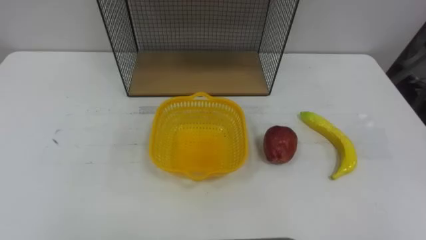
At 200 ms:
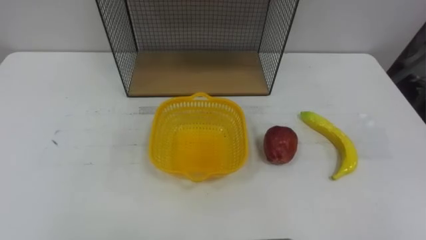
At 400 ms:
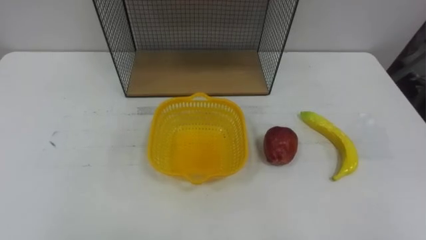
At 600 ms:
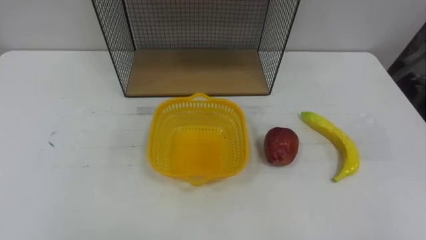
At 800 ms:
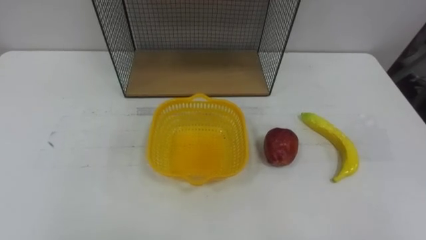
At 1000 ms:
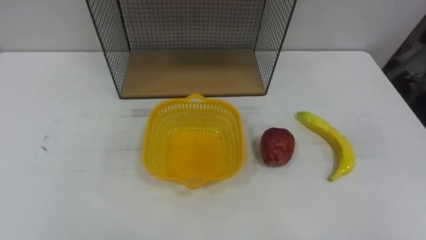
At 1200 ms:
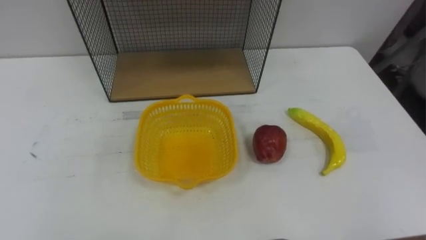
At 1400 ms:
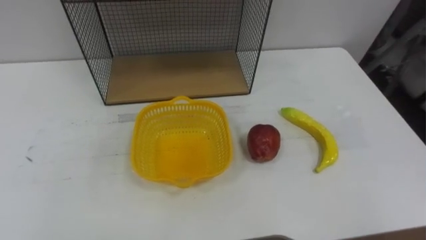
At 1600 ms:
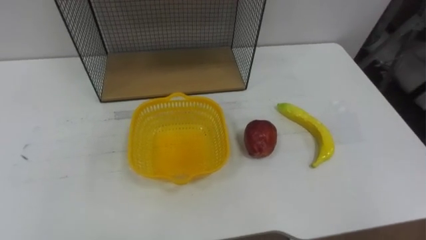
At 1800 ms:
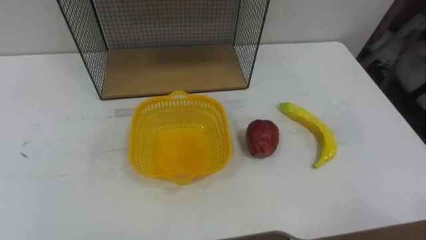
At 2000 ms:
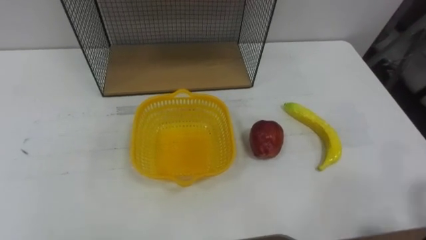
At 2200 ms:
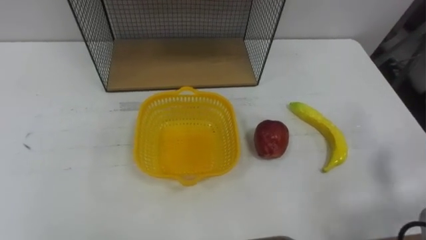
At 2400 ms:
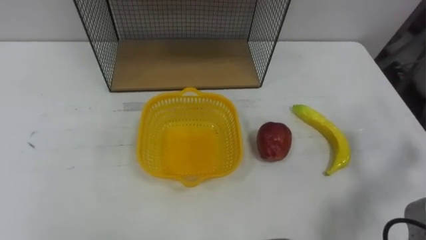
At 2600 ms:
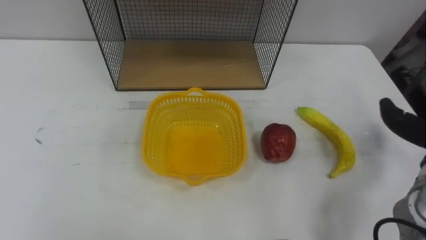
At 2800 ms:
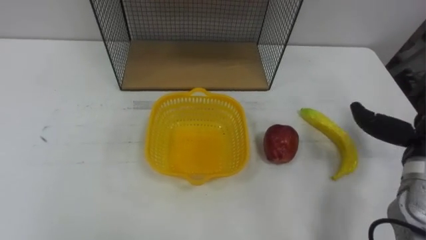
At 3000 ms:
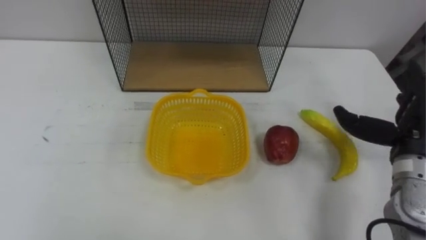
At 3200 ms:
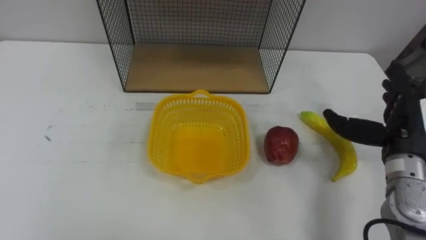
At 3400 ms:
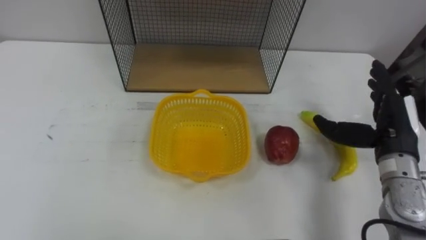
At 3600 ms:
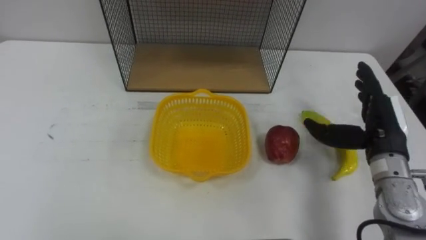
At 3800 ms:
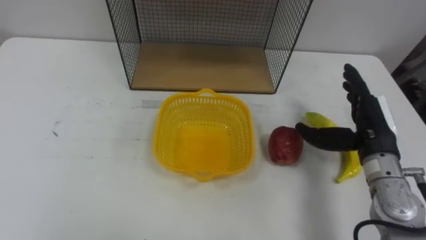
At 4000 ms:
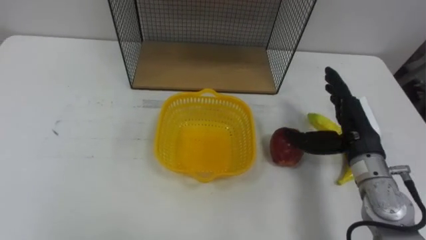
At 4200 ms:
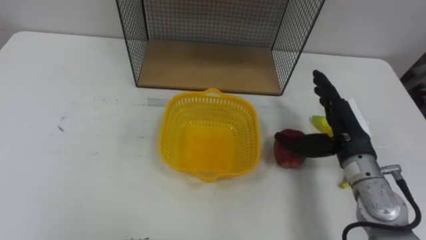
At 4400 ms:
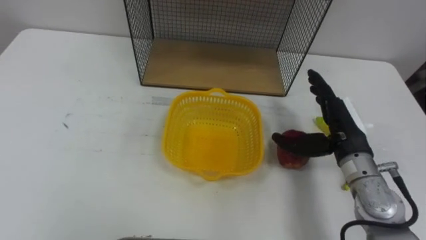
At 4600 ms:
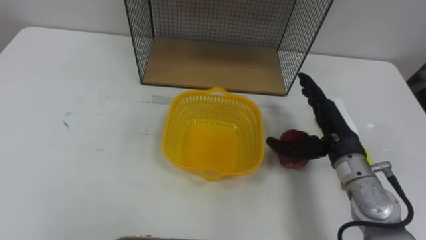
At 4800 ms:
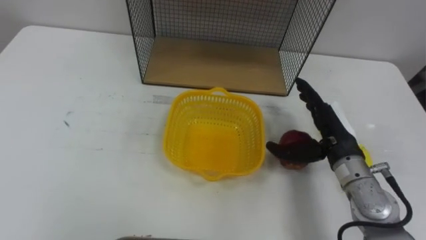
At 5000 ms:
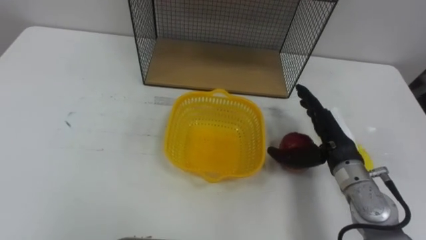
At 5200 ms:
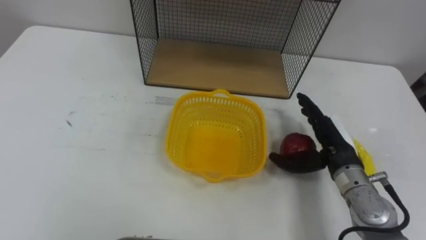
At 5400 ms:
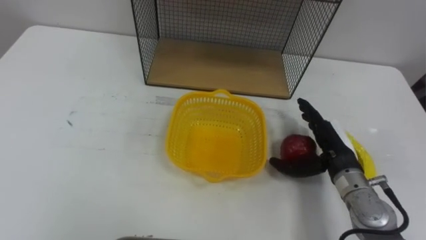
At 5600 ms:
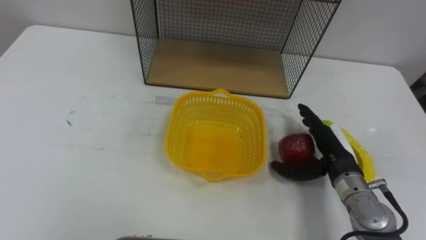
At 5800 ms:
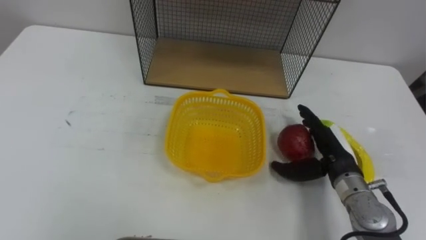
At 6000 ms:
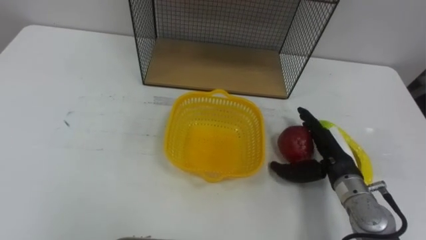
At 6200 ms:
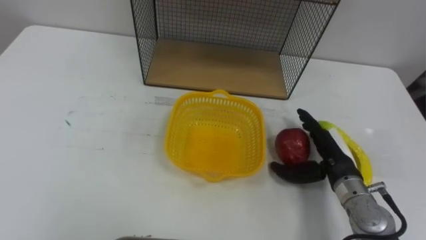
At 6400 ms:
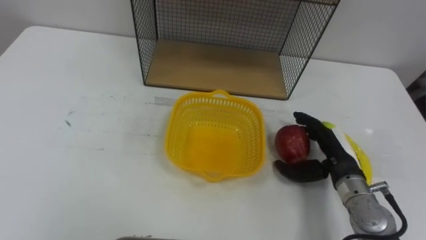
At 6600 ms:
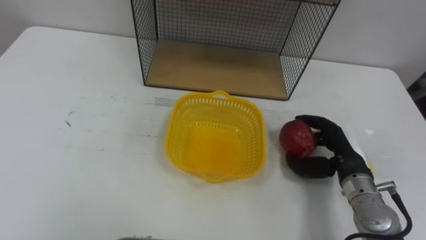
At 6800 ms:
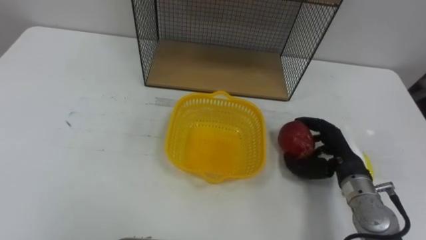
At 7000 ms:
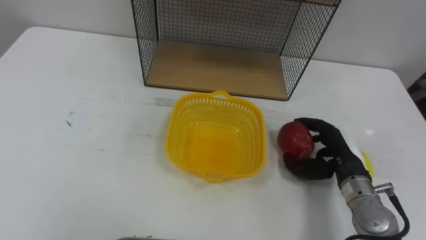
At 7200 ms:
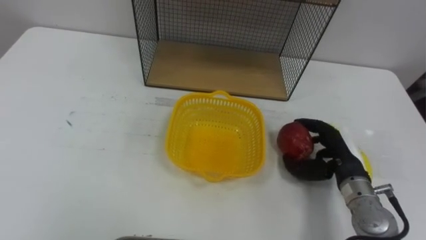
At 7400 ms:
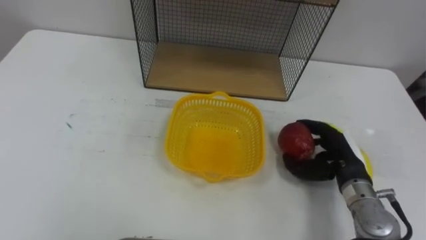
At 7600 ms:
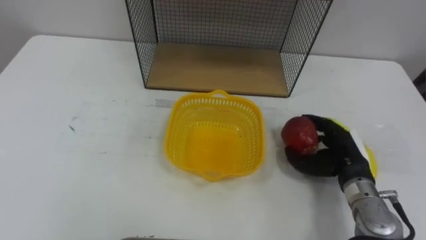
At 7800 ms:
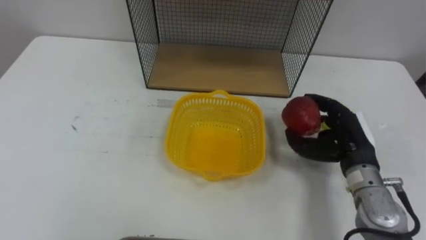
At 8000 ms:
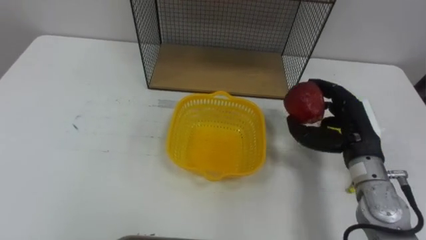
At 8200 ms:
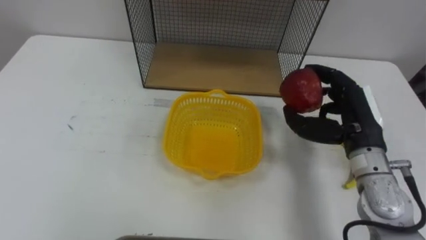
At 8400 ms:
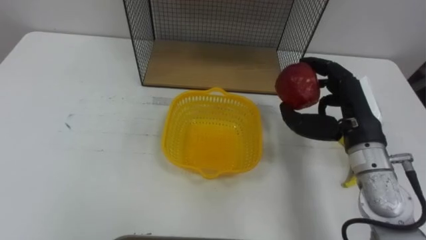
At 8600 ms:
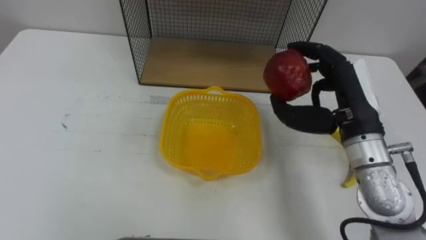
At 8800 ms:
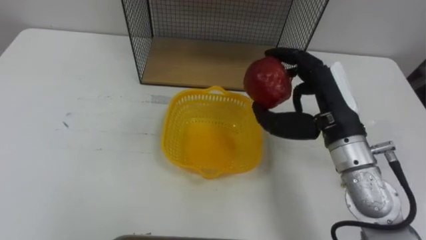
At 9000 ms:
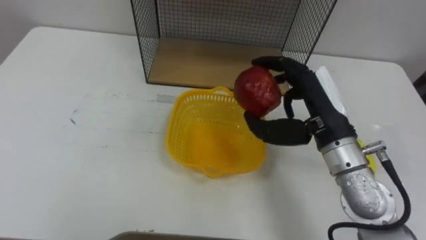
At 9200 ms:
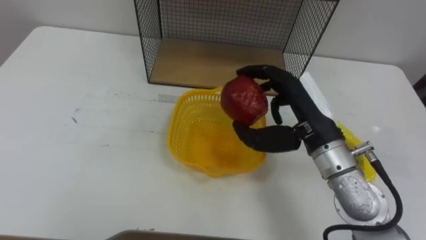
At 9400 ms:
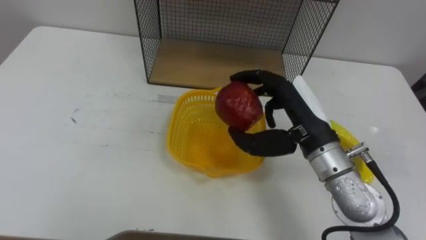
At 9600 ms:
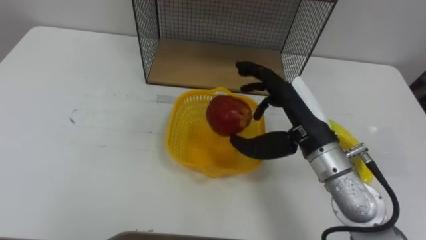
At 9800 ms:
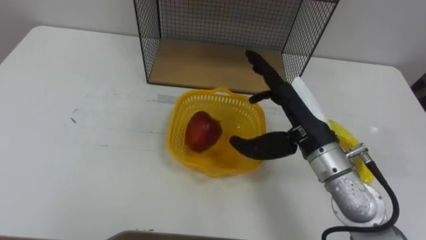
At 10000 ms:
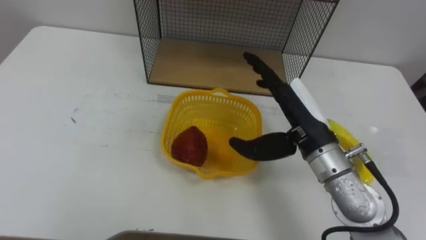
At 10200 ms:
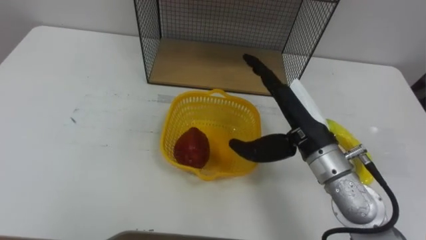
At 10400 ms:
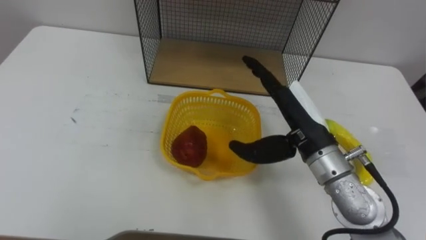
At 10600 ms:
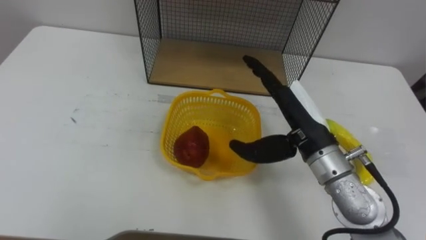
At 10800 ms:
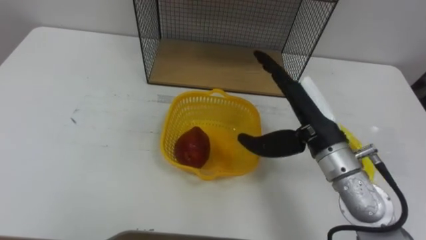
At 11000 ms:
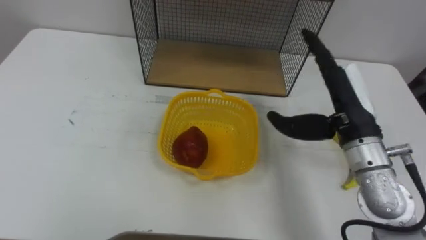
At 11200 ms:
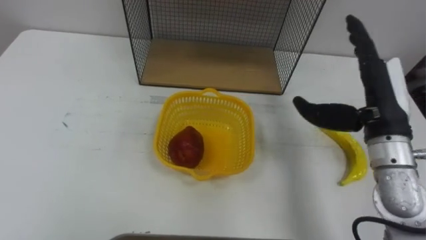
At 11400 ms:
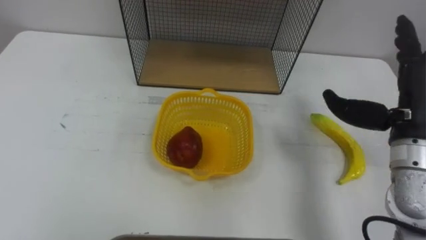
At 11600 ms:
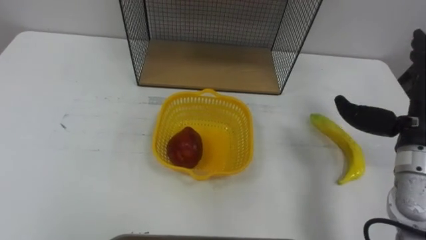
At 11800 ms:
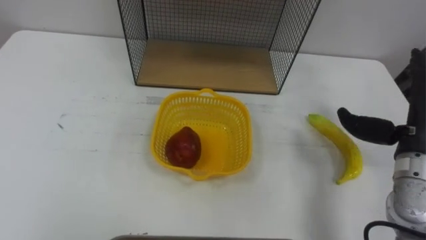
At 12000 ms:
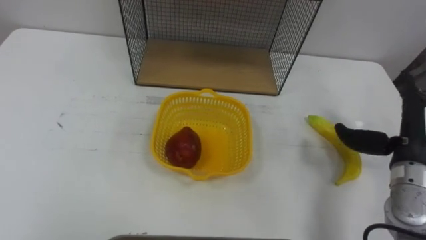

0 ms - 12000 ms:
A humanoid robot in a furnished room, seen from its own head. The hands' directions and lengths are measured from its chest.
Task of the whole recording: Put the fruit on the table into the basket, then place the basket on the shelf.
3000 ms - 4400 ms: The right hand heads to the left, covering some 10 cm.
4400 ms - 6000 ms: The right hand travels downward by approximately 5 cm.
6000 ms - 7600 ms: The right hand closes.
7600 ms - 9000 ms: The right hand travels upward and to the left by some 15 cm.
9000 ms - 10400 ms: The right hand opens its fingers.
10400 ms - 12000 ms: The right hand moves to the right, about 20 cm.

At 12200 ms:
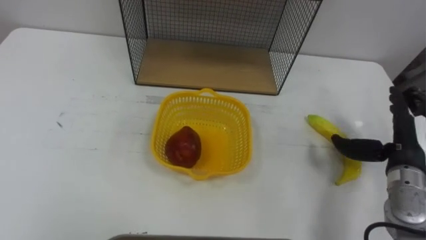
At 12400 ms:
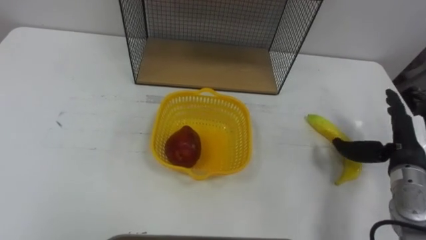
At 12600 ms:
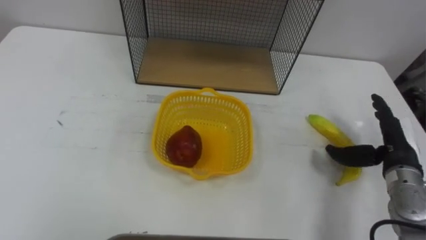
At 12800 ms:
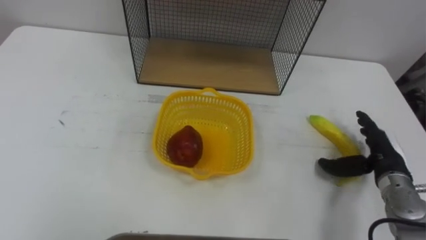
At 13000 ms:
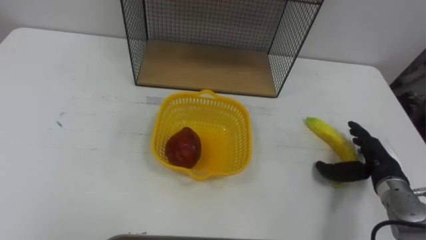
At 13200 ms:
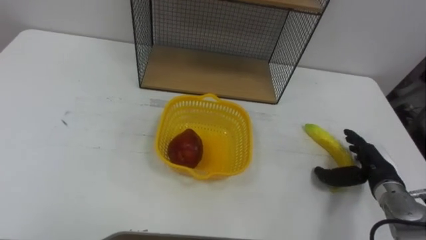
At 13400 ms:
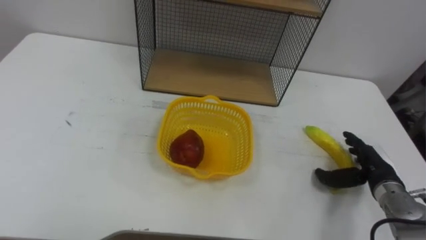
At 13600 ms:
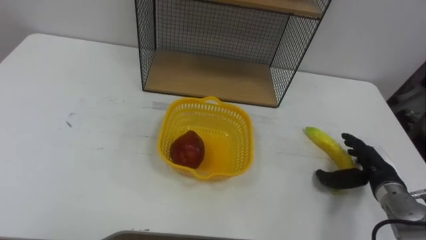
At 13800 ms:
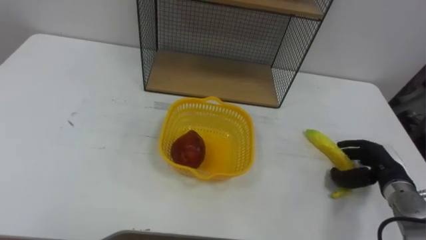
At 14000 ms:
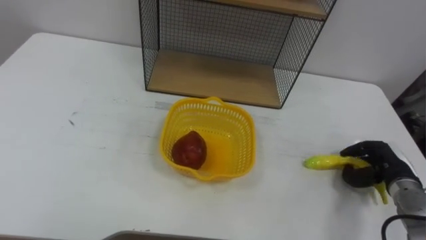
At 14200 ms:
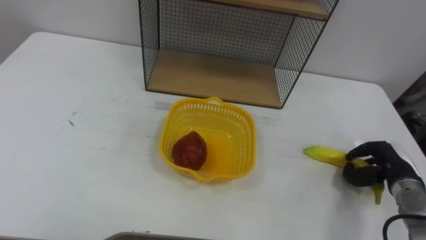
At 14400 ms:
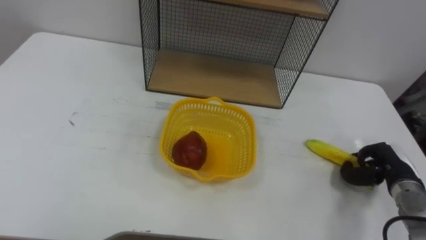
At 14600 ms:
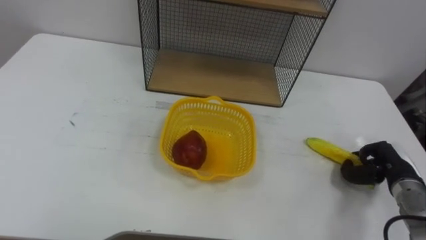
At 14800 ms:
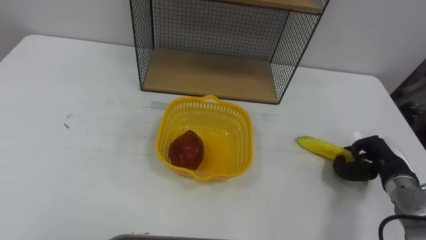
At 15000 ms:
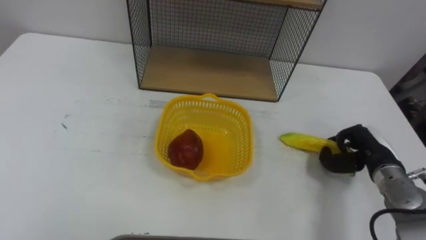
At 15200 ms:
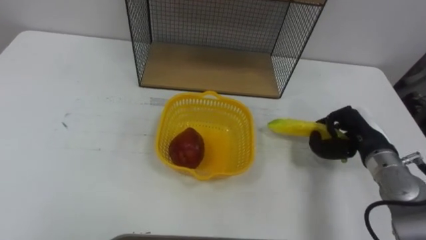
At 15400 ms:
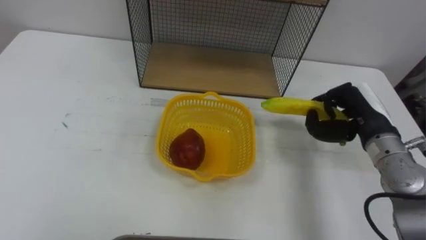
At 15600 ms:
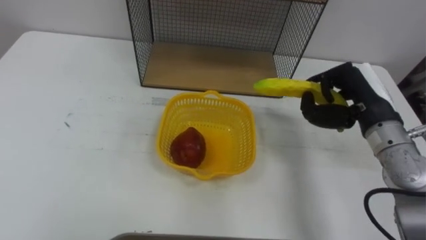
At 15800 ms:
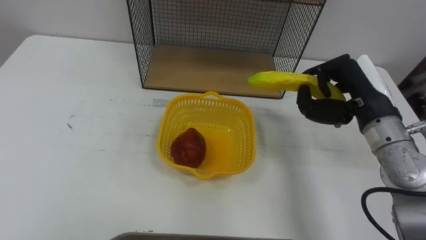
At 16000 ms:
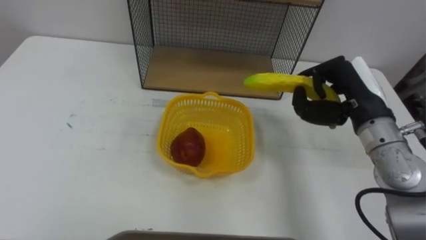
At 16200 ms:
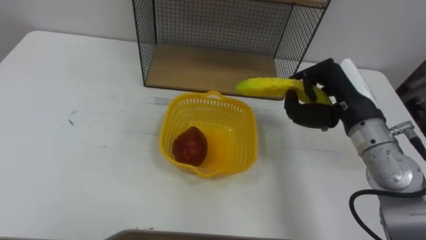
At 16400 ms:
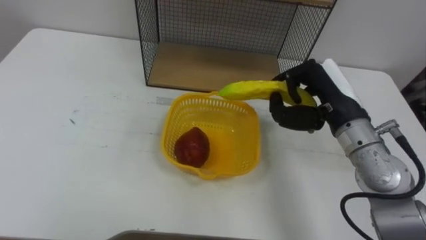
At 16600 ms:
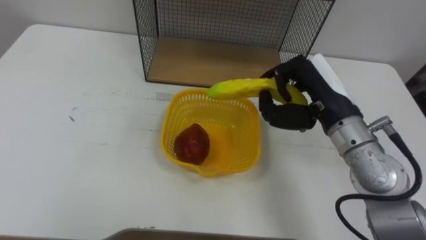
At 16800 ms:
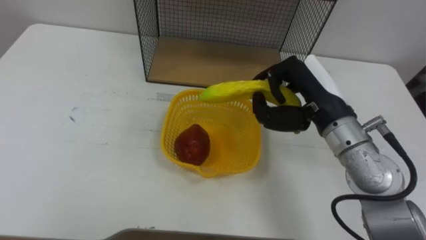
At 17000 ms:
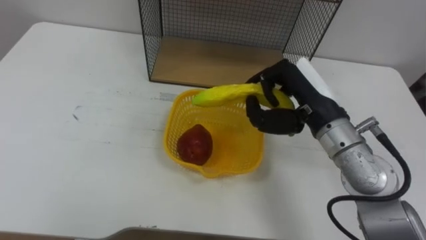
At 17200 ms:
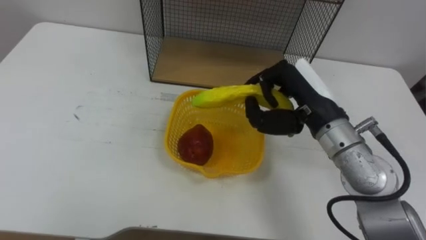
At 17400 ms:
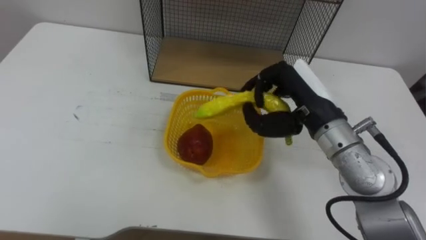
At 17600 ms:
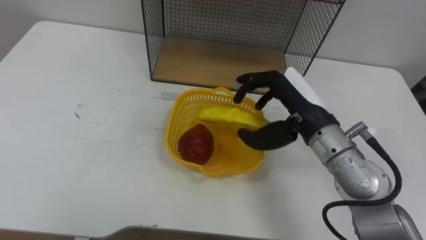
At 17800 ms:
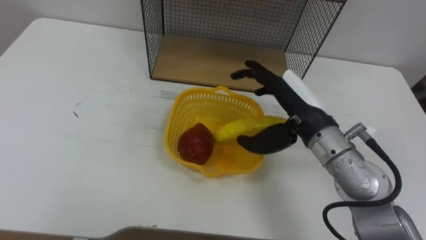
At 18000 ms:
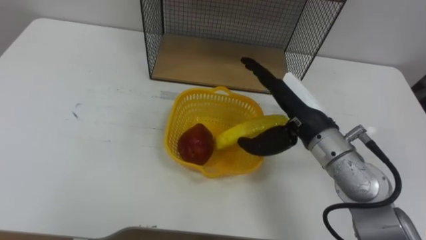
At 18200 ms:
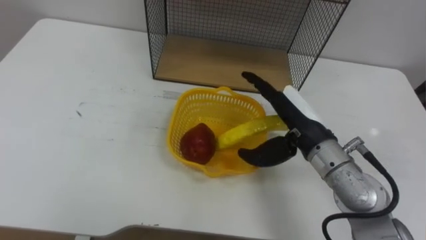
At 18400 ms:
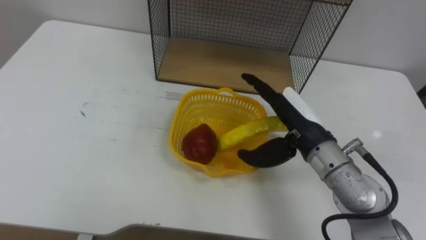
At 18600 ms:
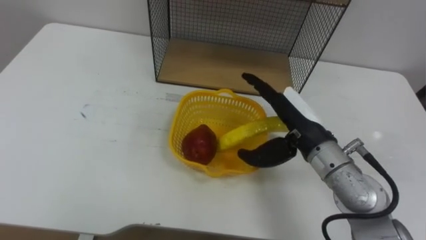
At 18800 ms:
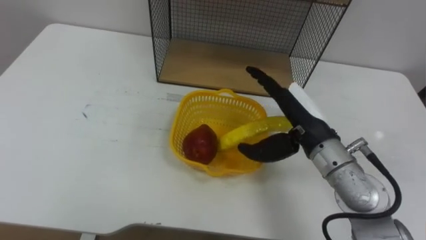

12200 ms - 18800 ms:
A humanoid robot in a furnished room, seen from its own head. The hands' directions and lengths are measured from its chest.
Task of the whole recording: Put the fruit on the table into the basket, then place the basket on the shelf.
12200 ms - 13800 ms: The right hand is displaced downward by some 10 cm.
13800 ms - 15400 ms: The right hand travels upward and to the left by approximately 15 cm, and closes up.
15400 ms - 17200 ms: The right hand goes some 15 cm to the left and upward.
17200 ms - 18800 ms: The right hand opens.
